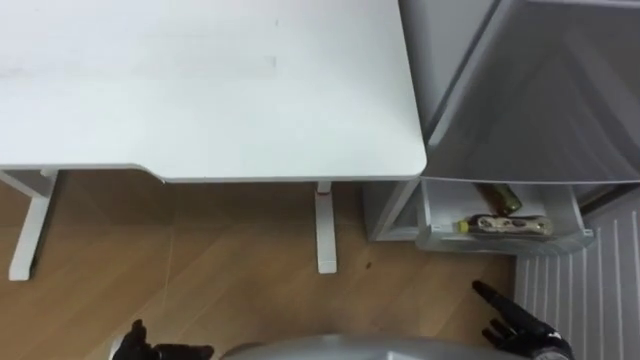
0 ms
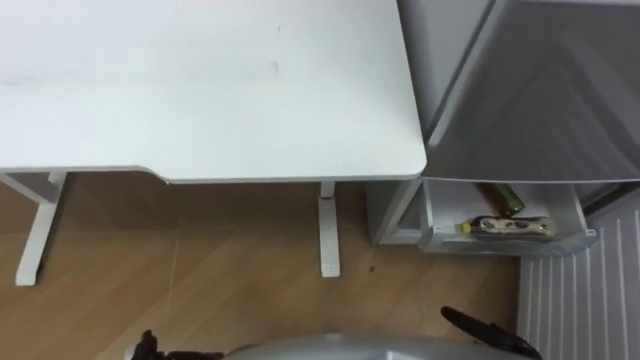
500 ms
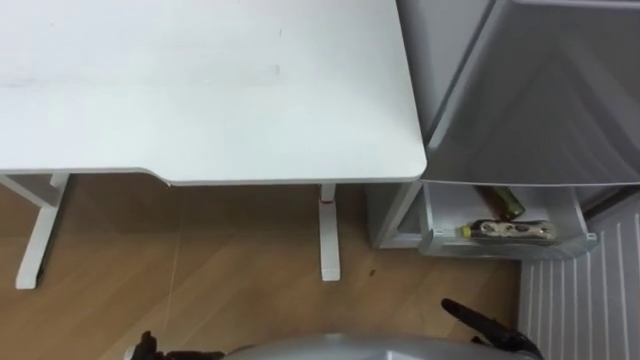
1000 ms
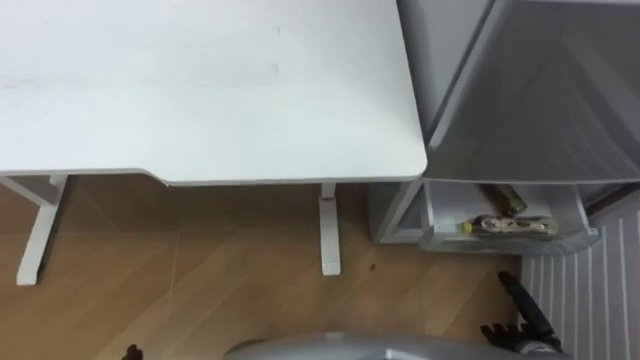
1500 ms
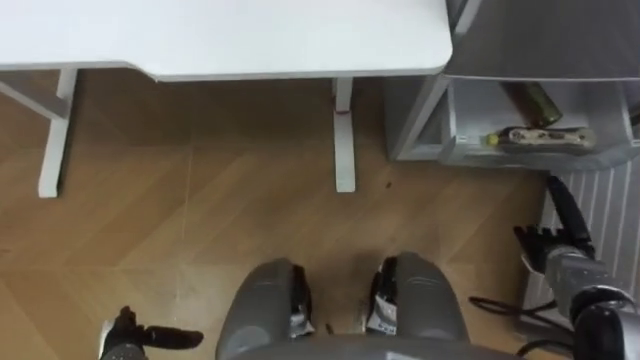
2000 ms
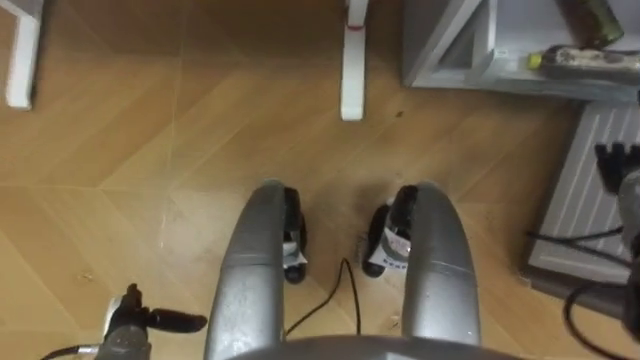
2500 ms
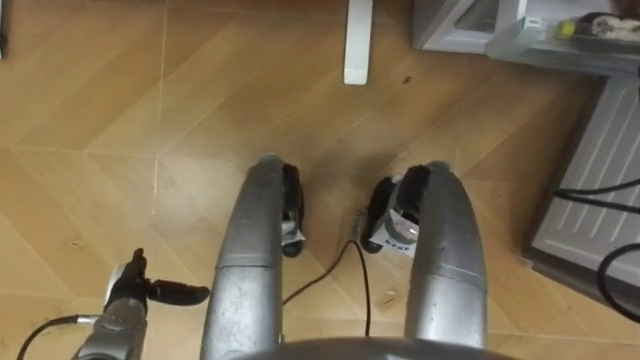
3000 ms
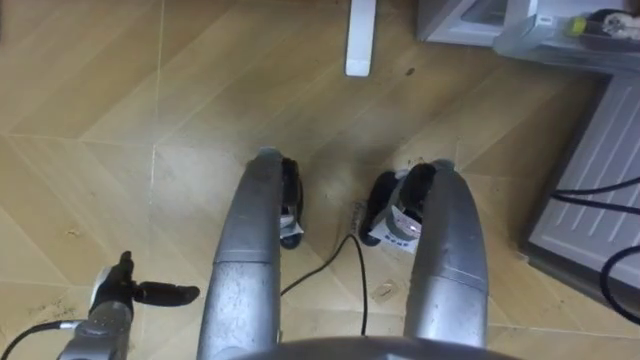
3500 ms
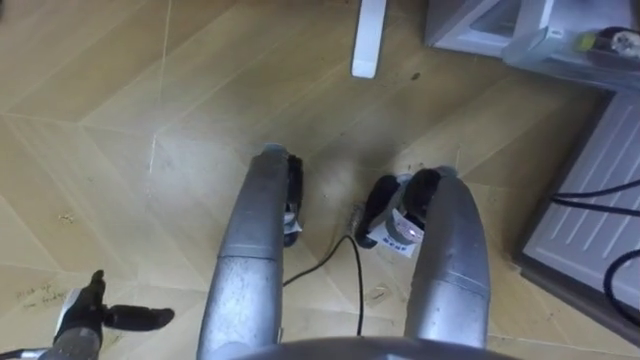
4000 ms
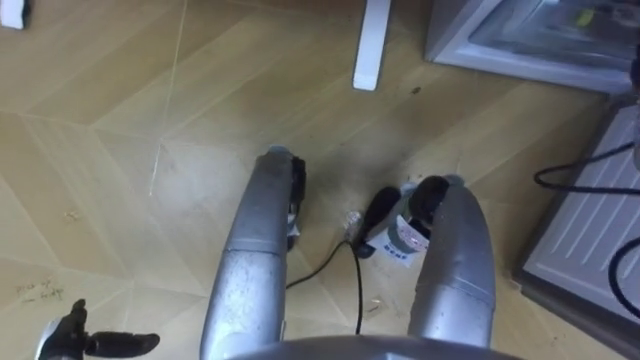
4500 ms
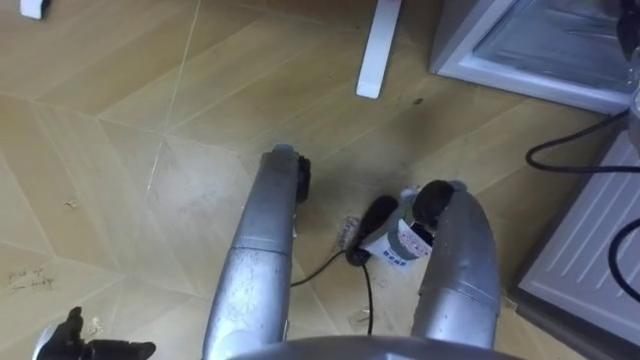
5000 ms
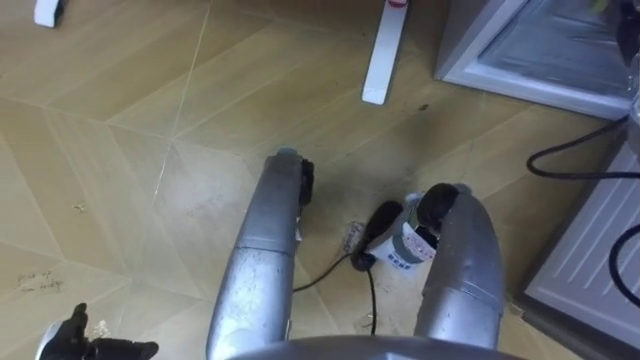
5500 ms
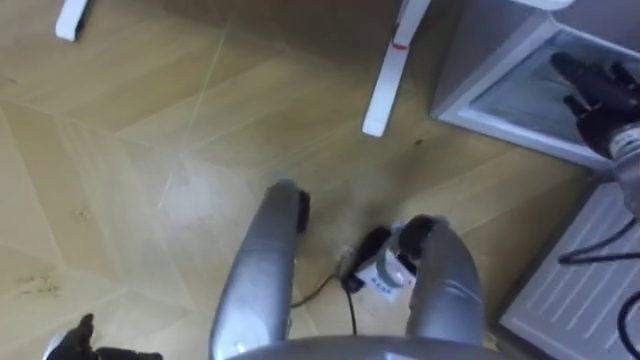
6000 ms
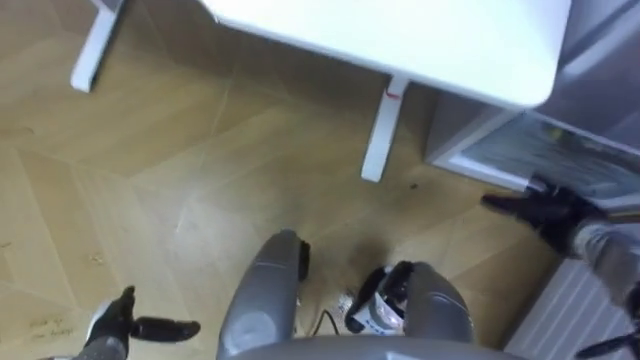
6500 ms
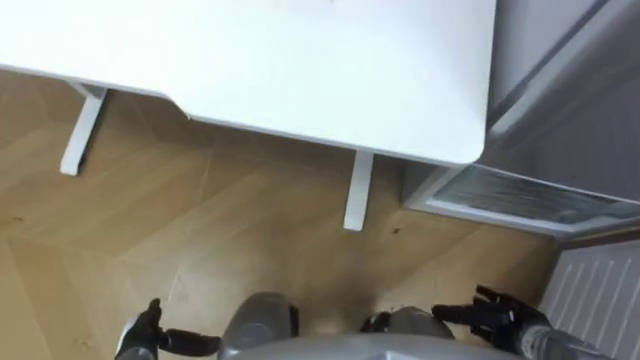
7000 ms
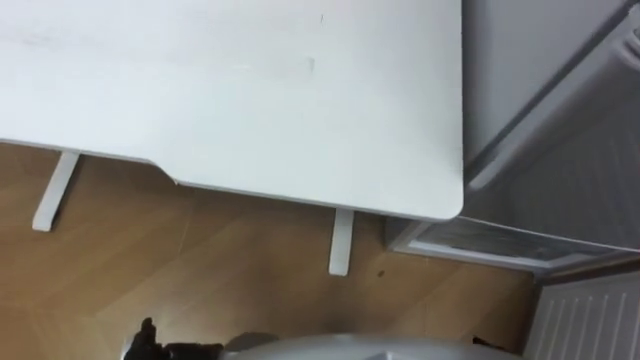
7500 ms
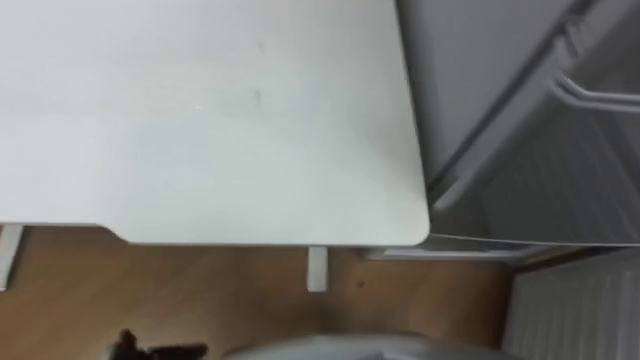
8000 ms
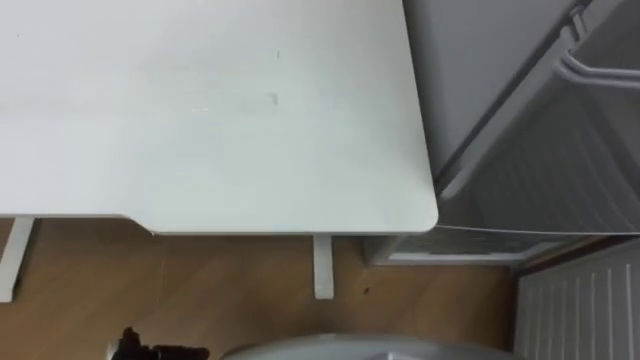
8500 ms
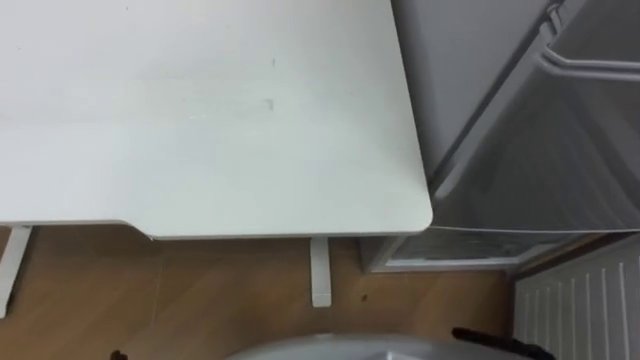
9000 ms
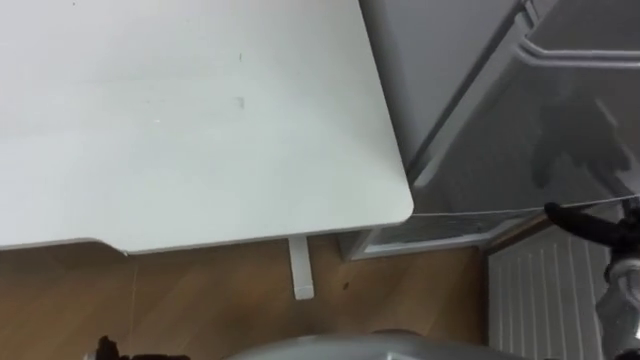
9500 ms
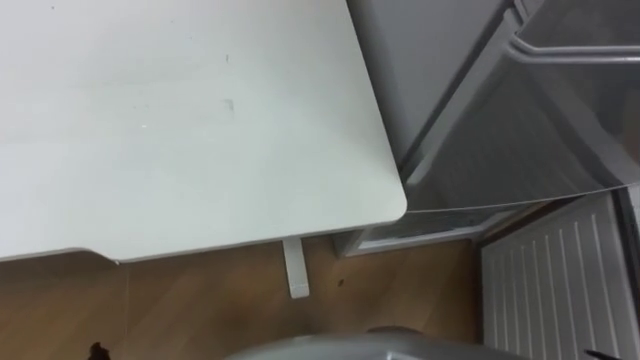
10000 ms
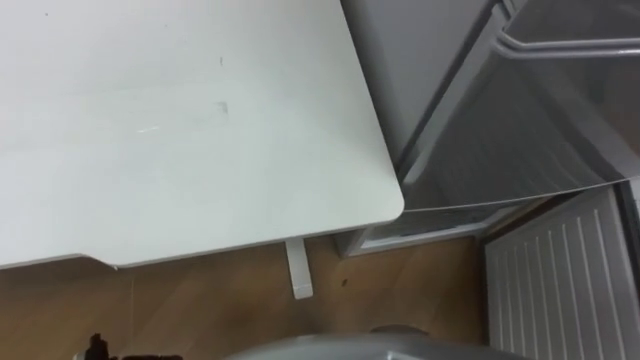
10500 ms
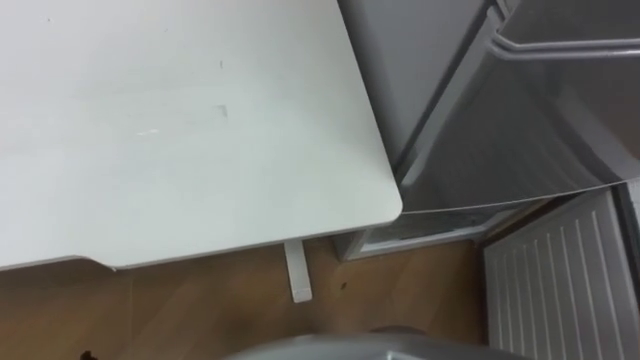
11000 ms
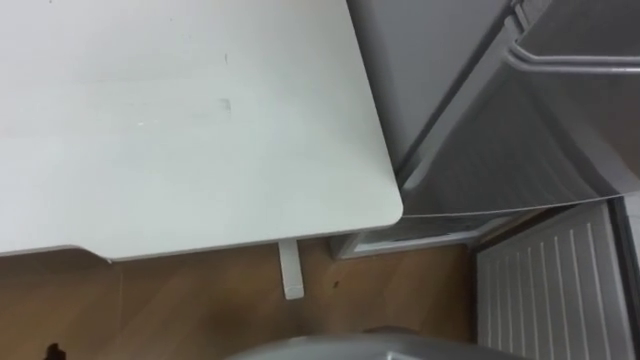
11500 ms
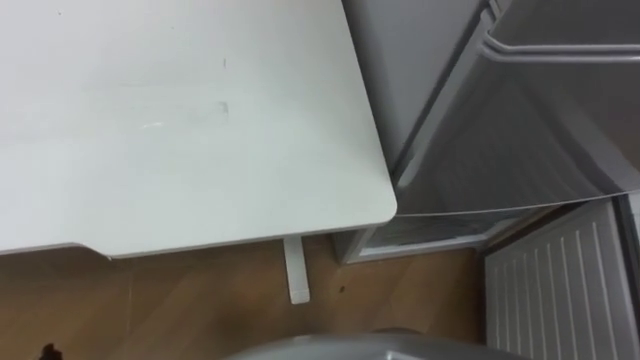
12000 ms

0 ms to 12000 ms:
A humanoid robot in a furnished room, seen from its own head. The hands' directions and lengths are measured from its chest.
Task of the whole recording: Place the drink on the table on the bottom shelf of the refrigerator, then close the drawer and the refrigerator door.
2000 ms to 4000 ms: The left hand moves some 5 cm.

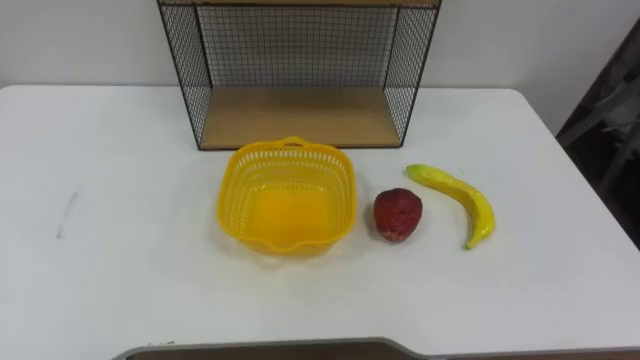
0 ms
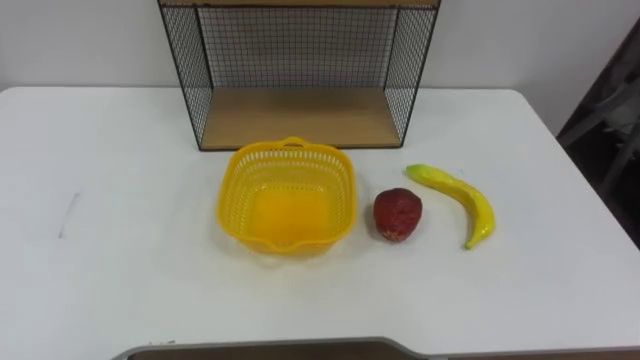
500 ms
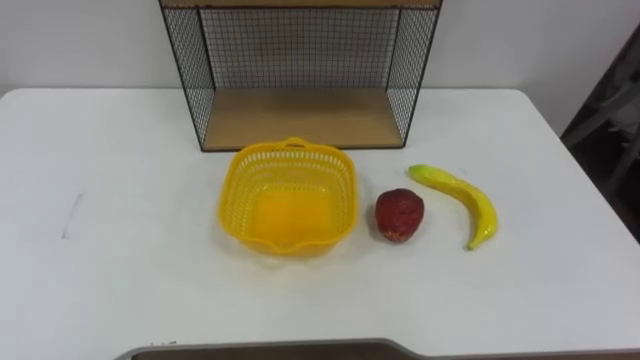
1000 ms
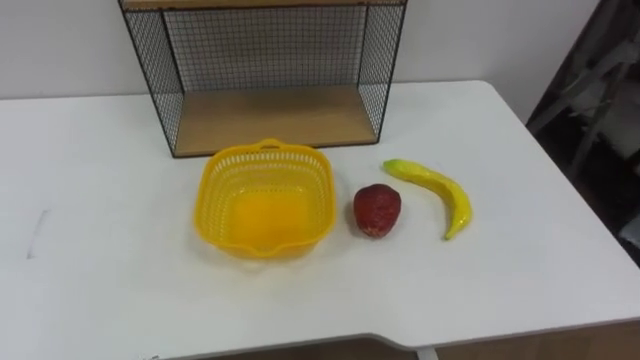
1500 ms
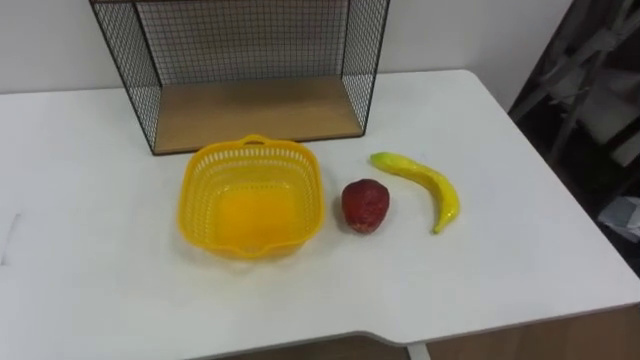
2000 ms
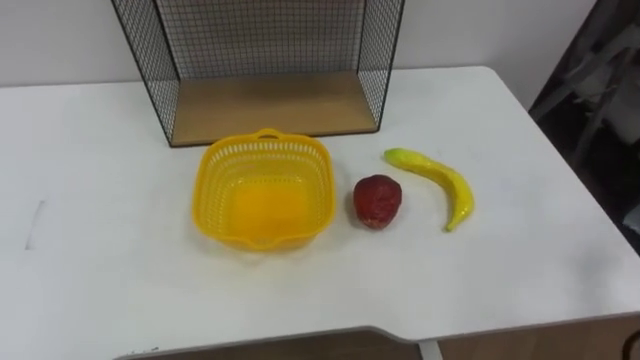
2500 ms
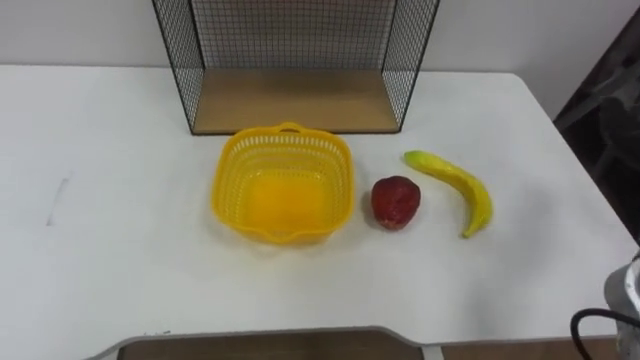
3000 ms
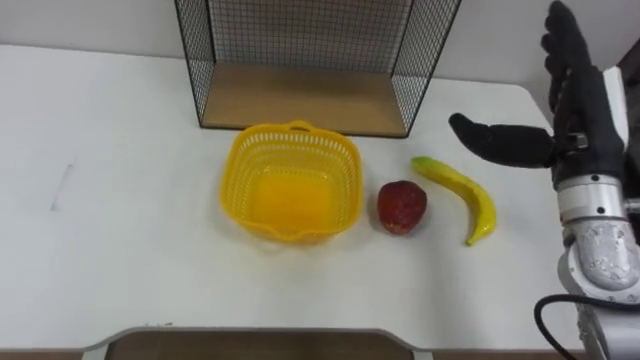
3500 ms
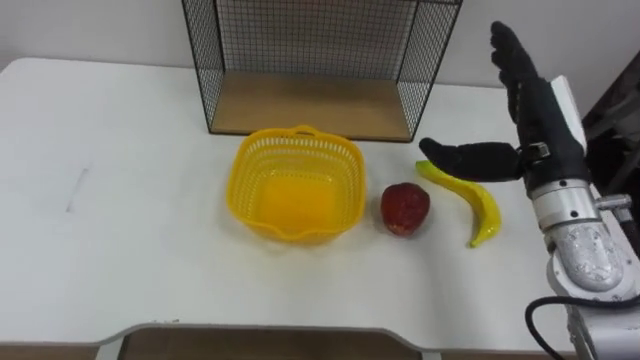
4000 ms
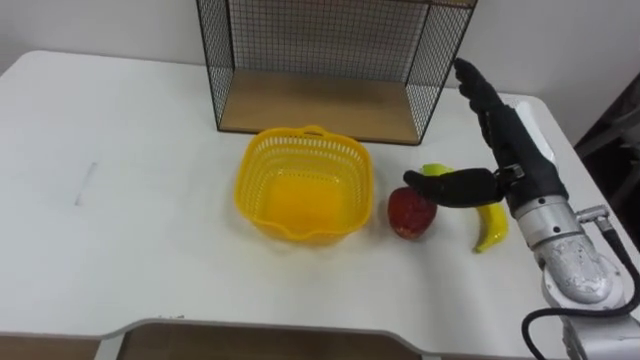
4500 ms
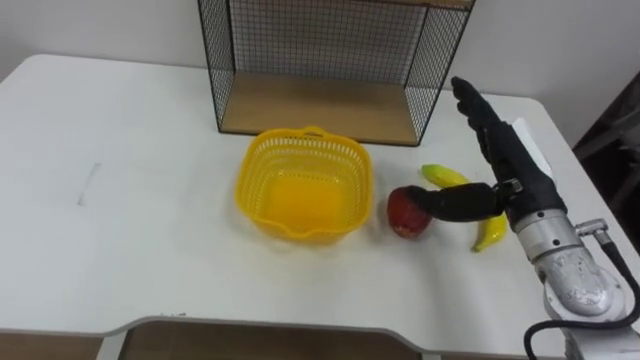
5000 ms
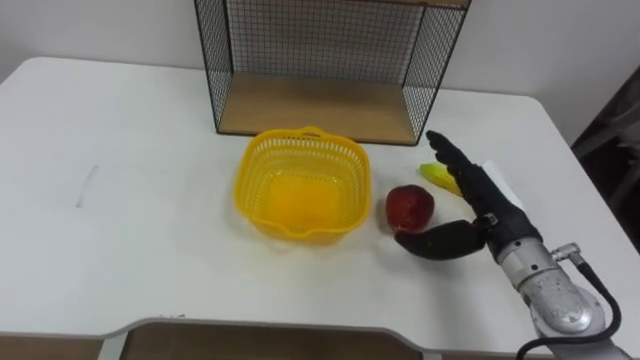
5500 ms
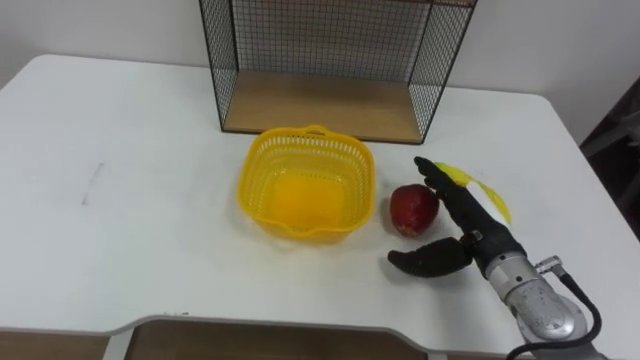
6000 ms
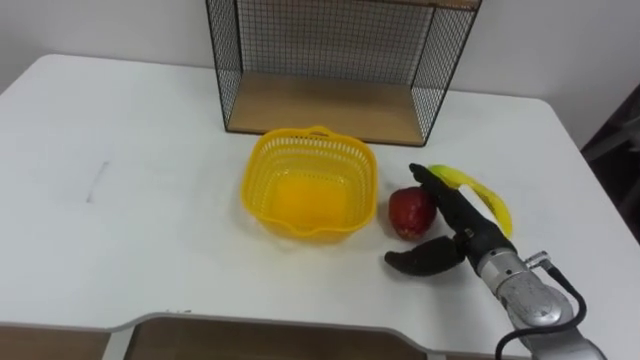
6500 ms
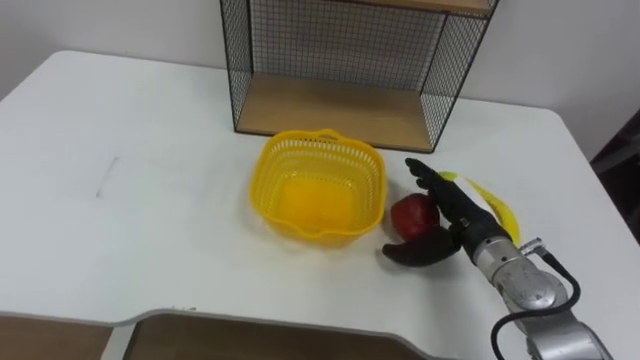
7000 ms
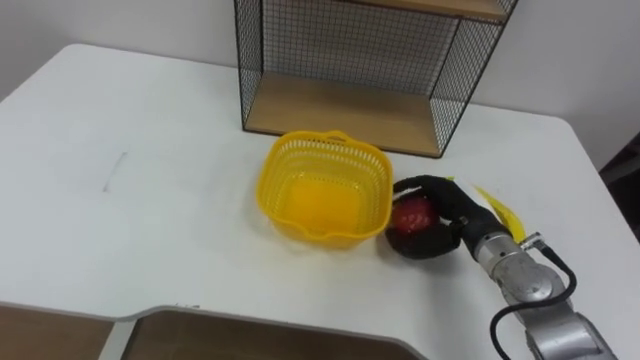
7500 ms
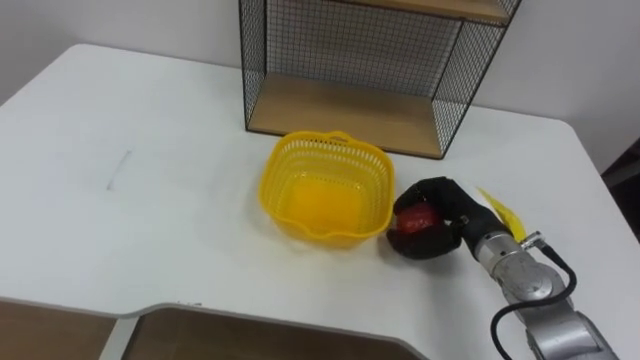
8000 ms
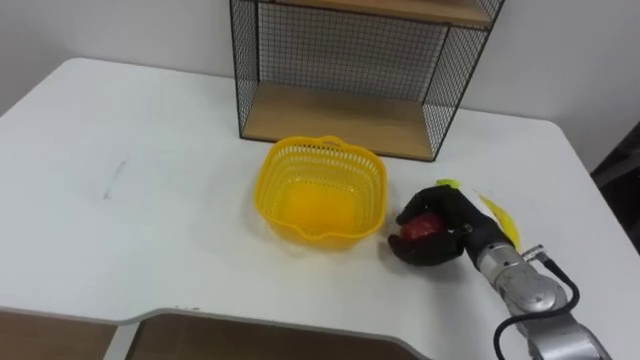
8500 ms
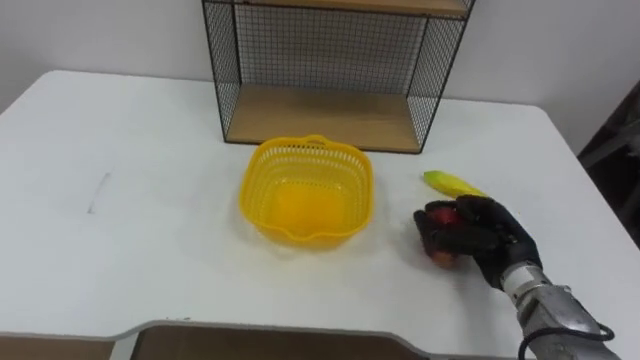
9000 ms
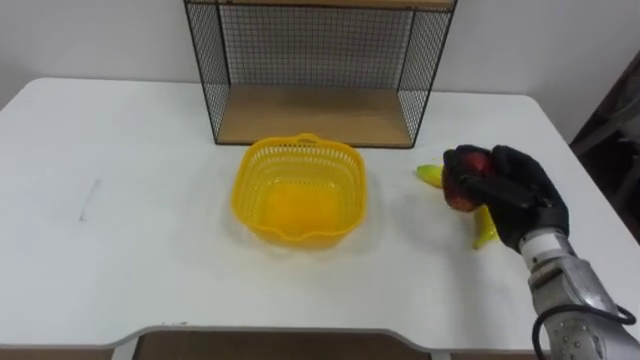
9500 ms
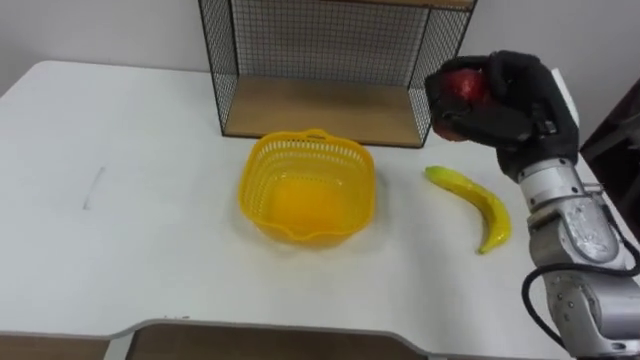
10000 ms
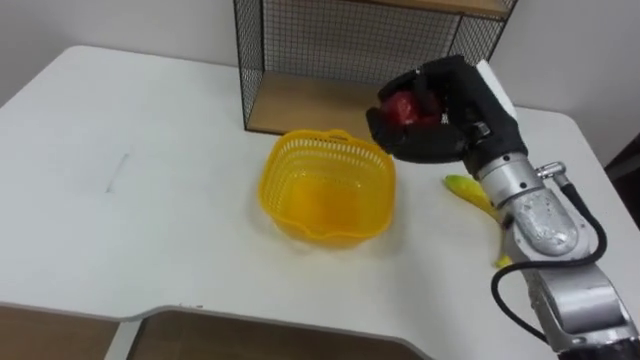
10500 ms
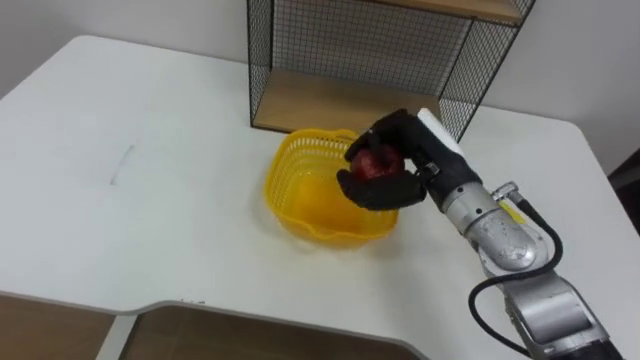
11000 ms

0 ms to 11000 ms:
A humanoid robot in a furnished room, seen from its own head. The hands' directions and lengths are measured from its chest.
Task of the whole recording: Put the fruit on the table into the basket, then place the basket on the shelf.
3500 ms to 5500 ms: The right hand travels downward and to the left by about 10 cm.
5500 ms to 7500 ms: The right hand is displaced downward by about 5 cm, and closes up.
7500 ms to 9000 ms: The right hand shifts by roughly 5 cm.
9000 ms to 11000 ms: The right hand is displaced upward and to the left by some 15 cm.
